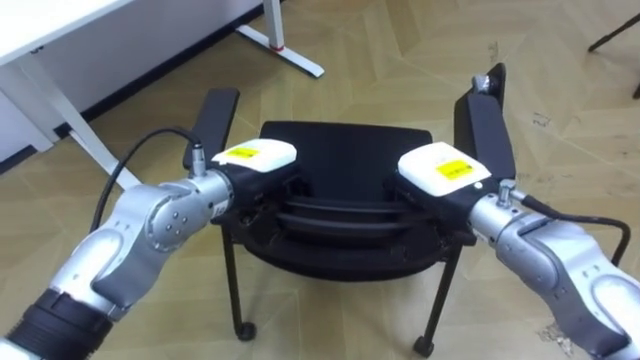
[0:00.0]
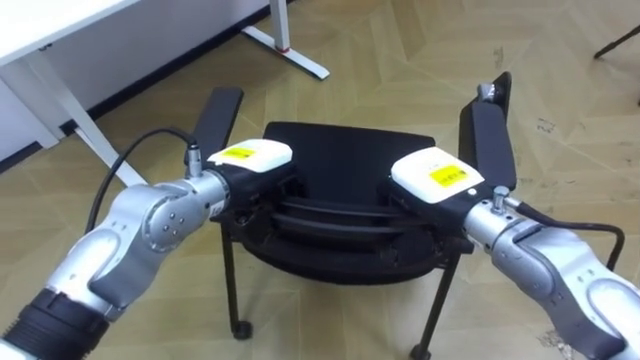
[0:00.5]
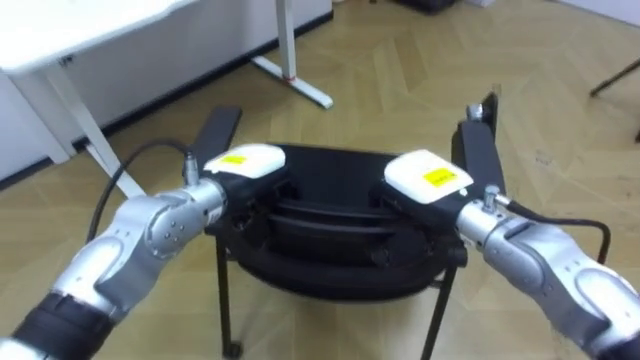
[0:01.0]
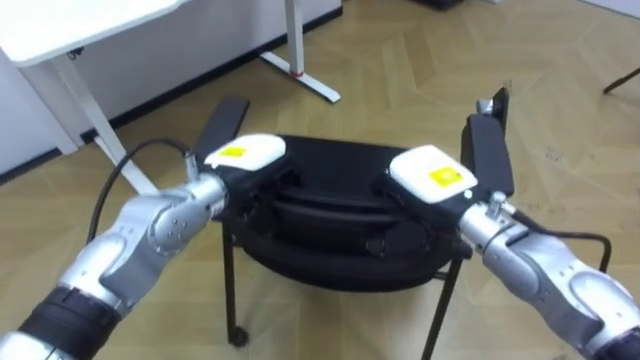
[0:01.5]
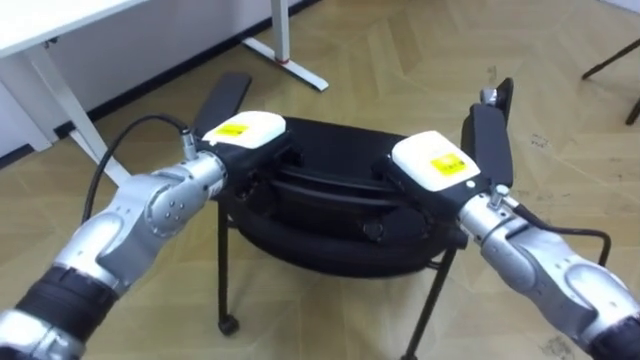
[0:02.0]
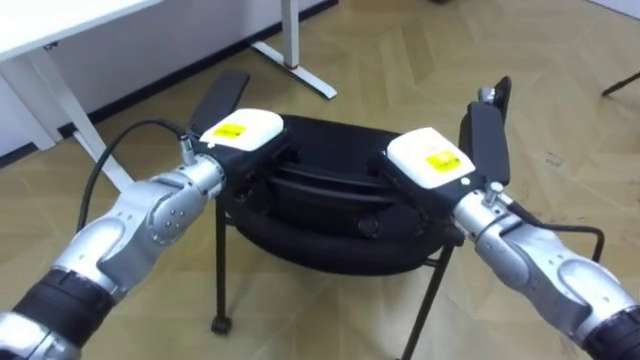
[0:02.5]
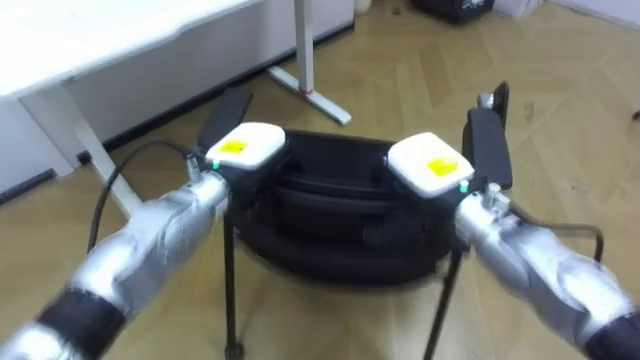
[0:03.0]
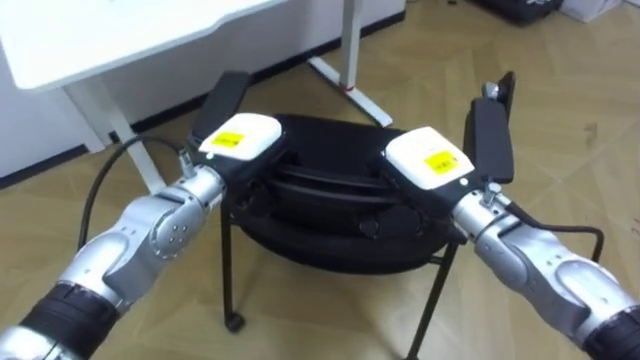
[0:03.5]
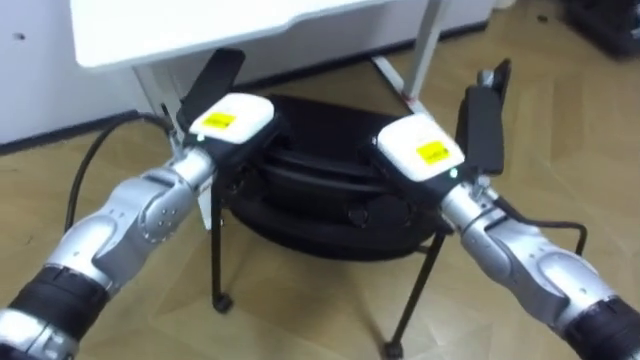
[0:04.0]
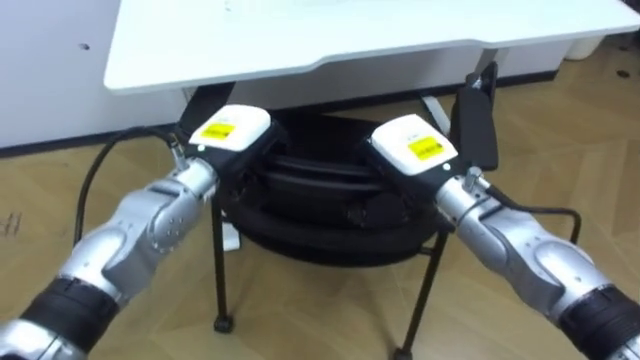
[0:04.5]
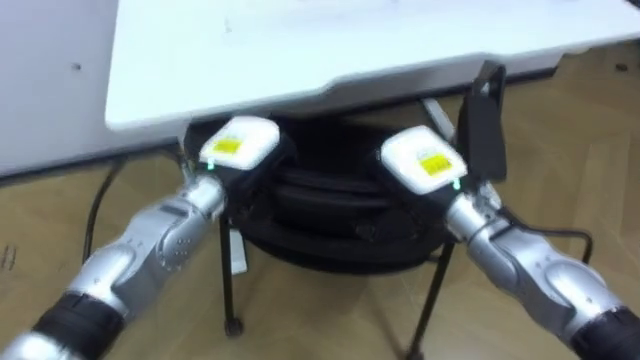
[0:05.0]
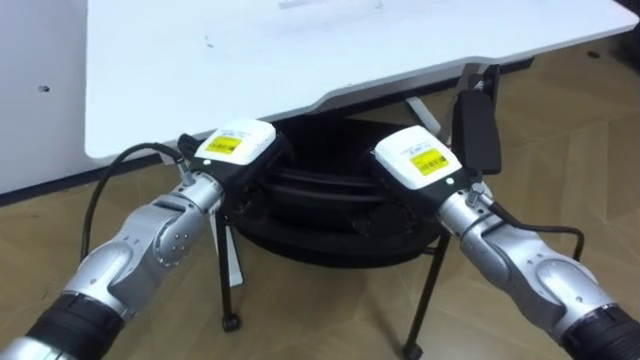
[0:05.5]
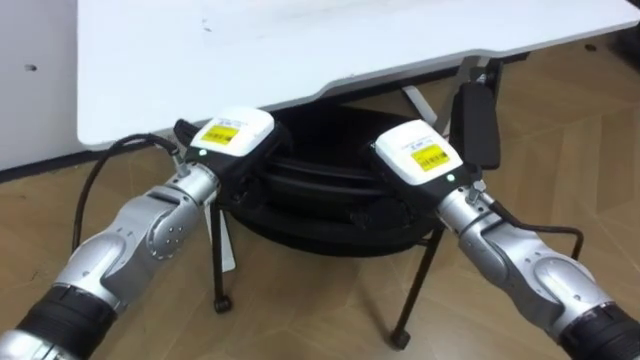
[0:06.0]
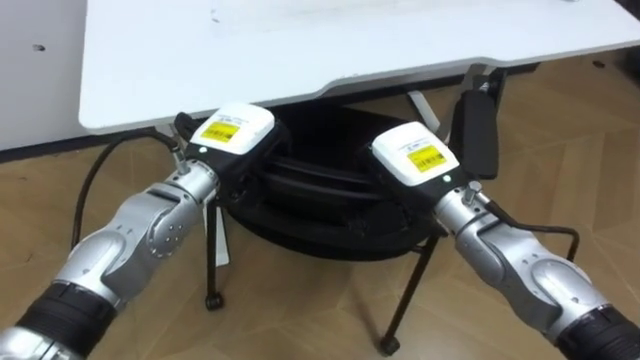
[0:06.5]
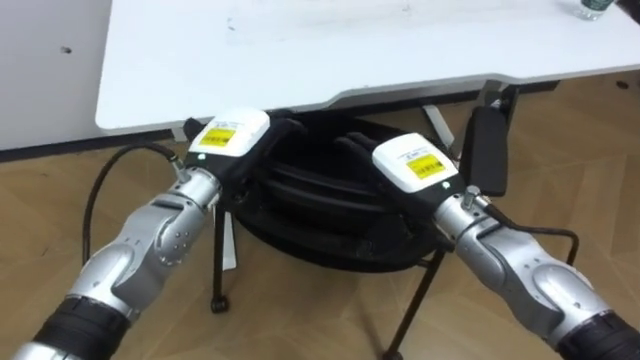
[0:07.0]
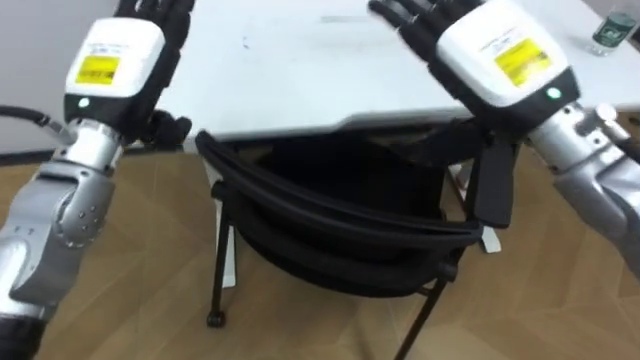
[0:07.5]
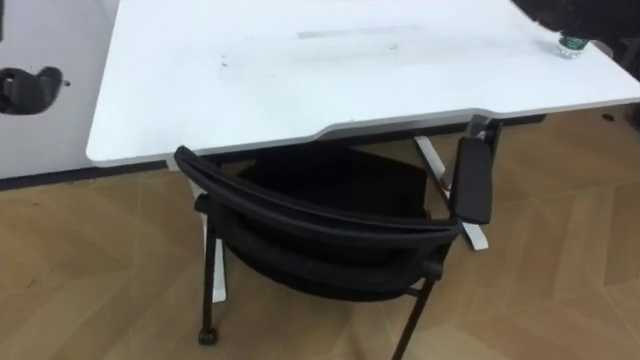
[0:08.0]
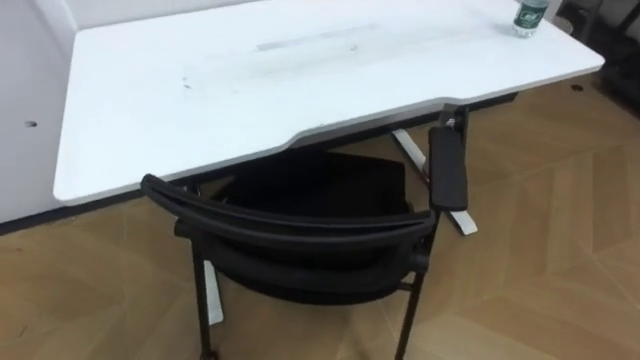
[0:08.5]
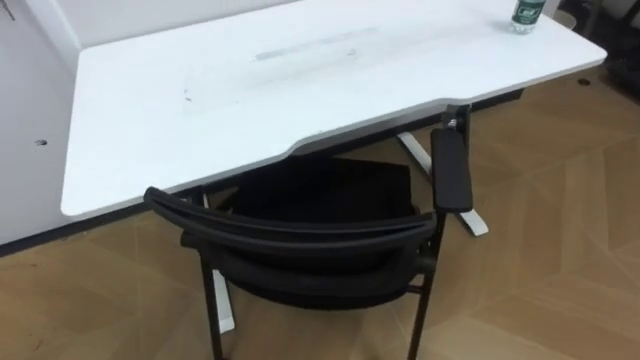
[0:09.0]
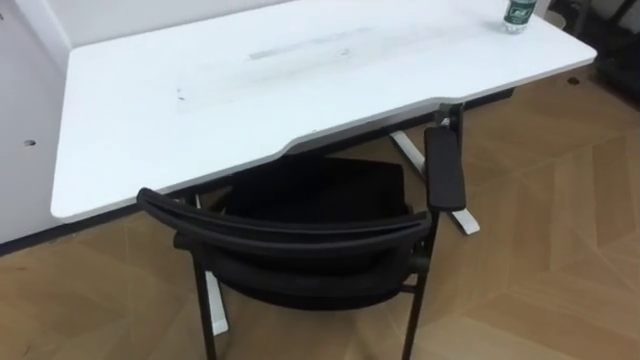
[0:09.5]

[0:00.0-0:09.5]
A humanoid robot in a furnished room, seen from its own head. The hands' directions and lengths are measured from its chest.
Task of the whole recording: Push the chair under the table.
0:02.0 to 0:04.0: The robot turns to its left by some 20 degrees.
0:05.5 to 0:07.5: The right hand heads upward, covering roughly 15 cm, and opens its fingers; the left hand shifts approximately 15 cm upward and to the left, and opens.

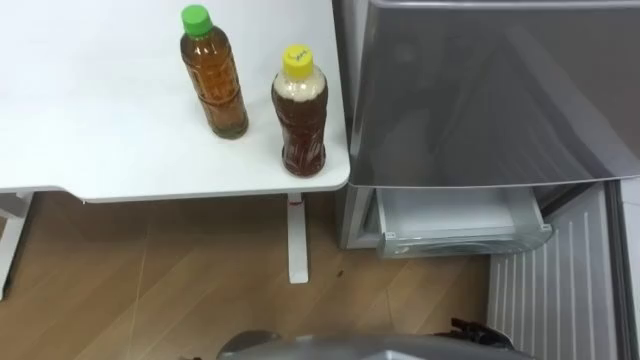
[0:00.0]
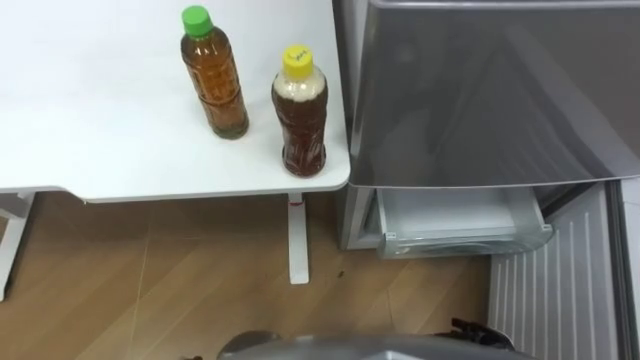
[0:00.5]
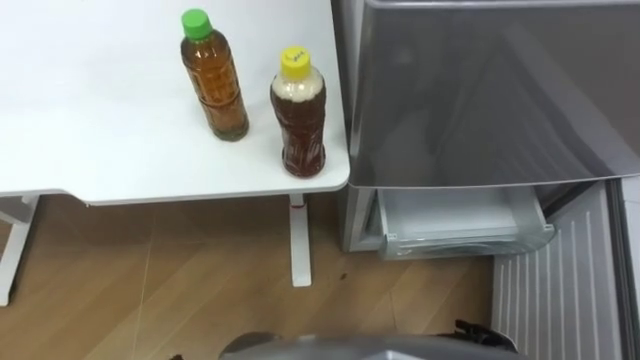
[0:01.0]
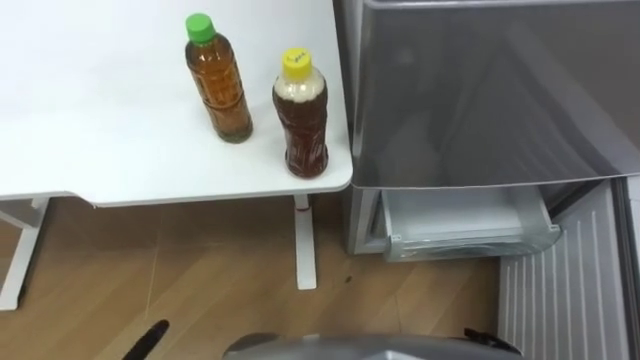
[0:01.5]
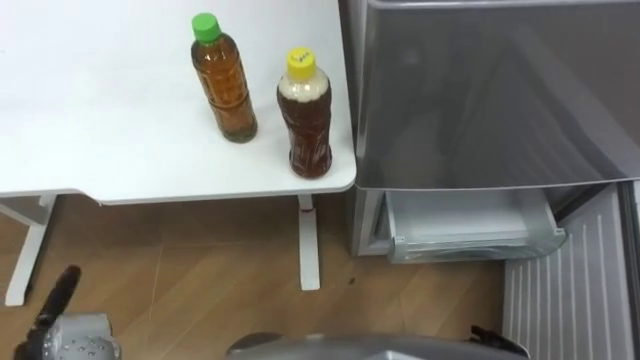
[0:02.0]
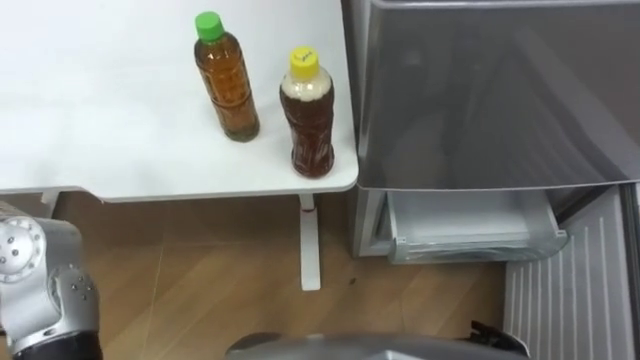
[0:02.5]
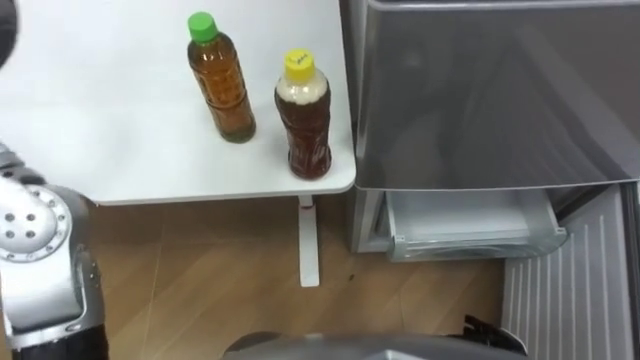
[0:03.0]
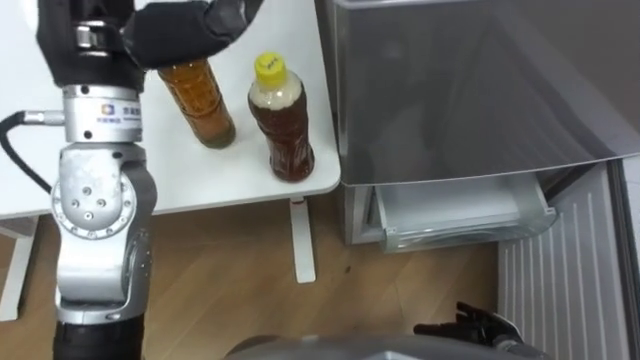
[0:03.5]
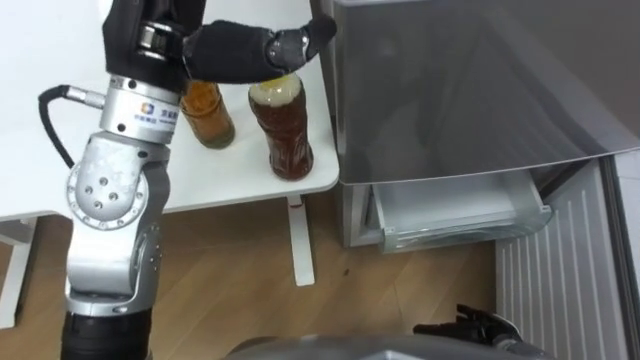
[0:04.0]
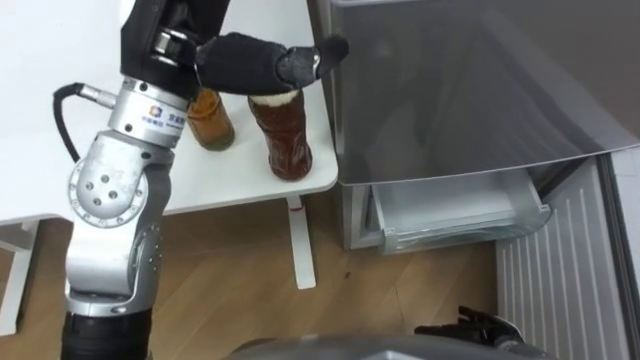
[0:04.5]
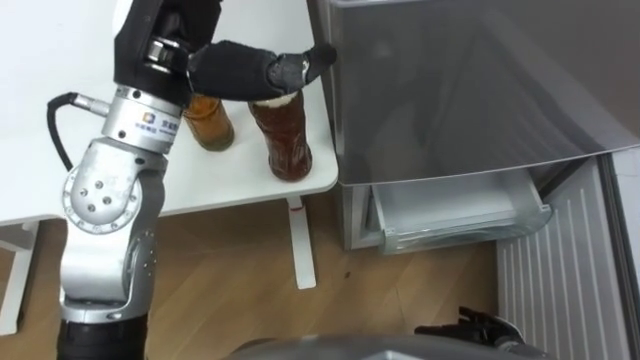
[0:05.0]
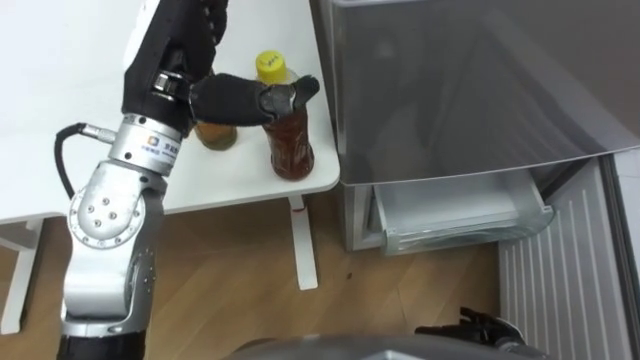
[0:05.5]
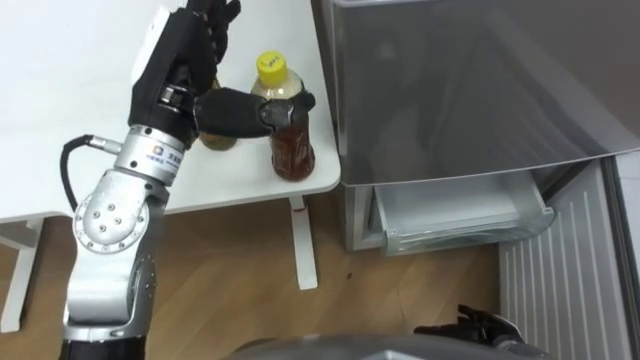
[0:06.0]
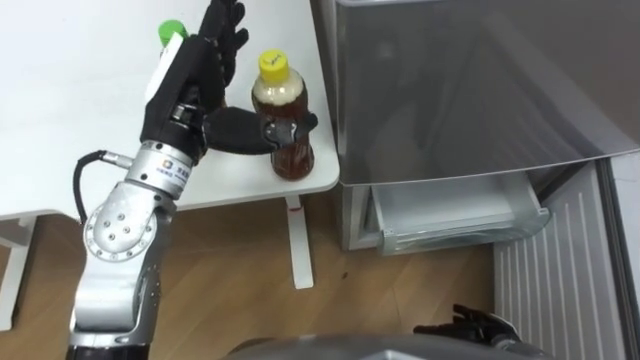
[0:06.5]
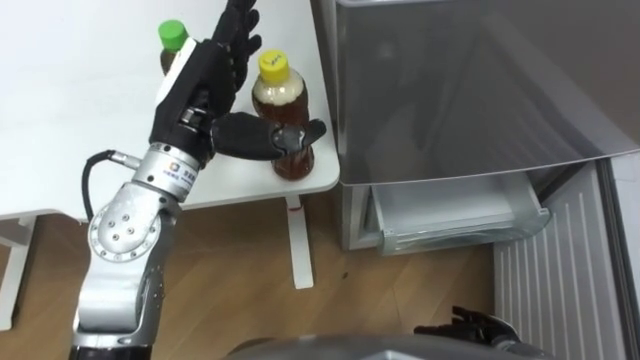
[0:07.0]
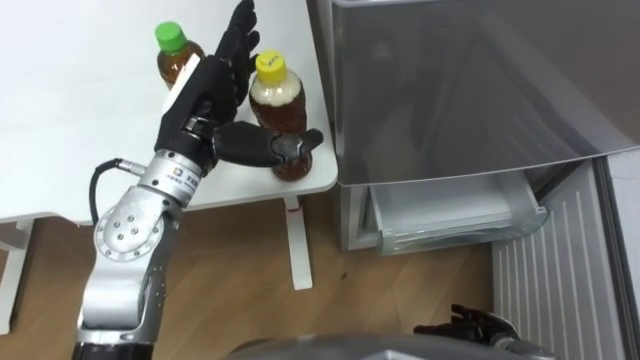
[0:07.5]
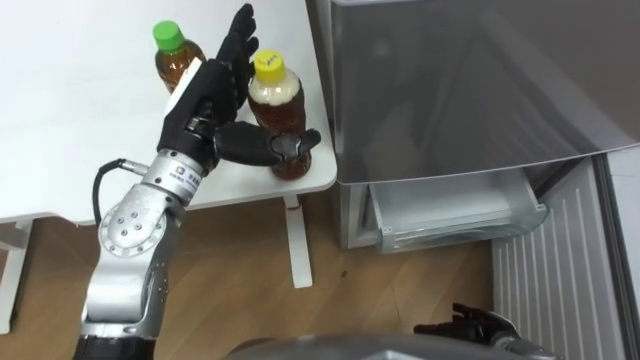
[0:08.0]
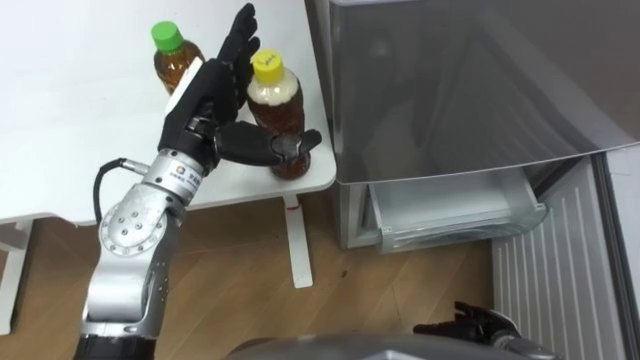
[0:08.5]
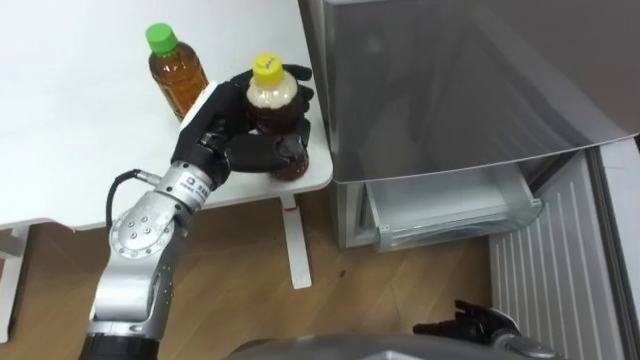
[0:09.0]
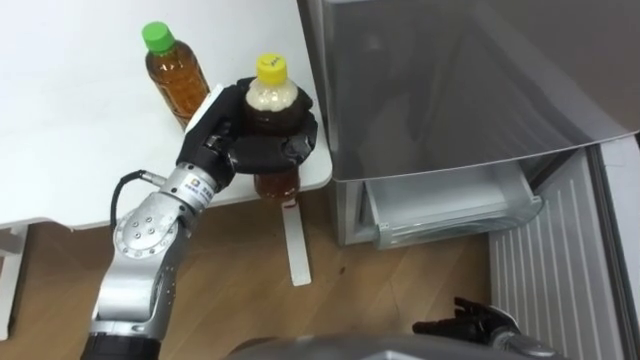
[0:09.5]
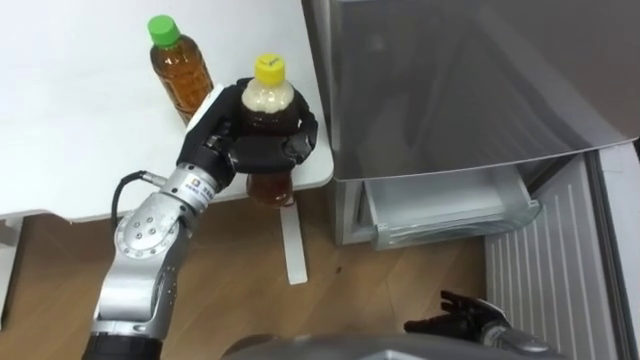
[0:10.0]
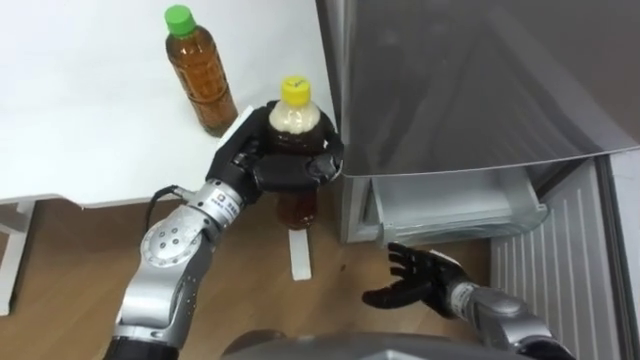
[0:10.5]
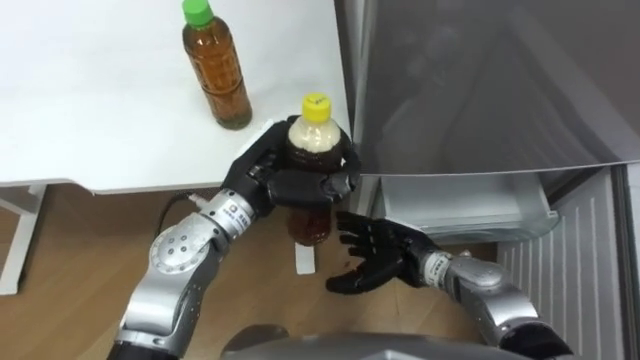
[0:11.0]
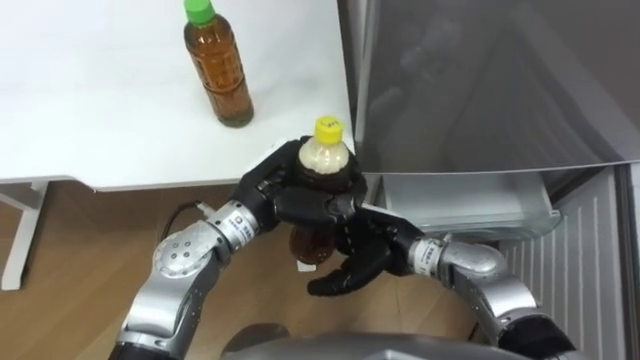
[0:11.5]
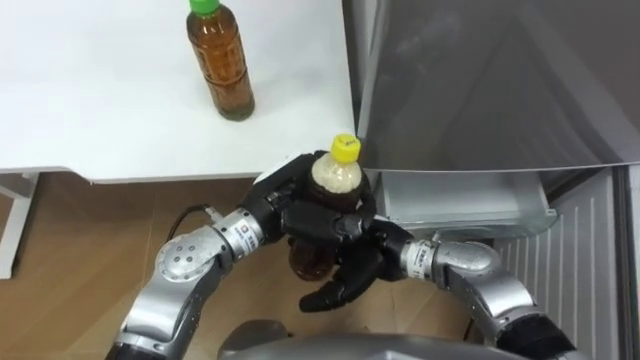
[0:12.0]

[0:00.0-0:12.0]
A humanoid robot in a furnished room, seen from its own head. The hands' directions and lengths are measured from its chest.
Task of the whole recording: Place the drink on the table on the bottom shelf of the refrigerator, then close the drawer and the refrigerator door.
0:04.0 to 0:06.0: The left hand heads downward, covering approximately 10 cm.
0:06.0 to 0:08.0: The left hand is displaced downward by approximately 5 cm.
0:08.0 to 0:10.0: The left hand closes.
0:10.0 to 0:12.0: The right hand is displaced to the left, upward and forward by roughly 25 cm; the left hand travels to the right by about 5 cm.
